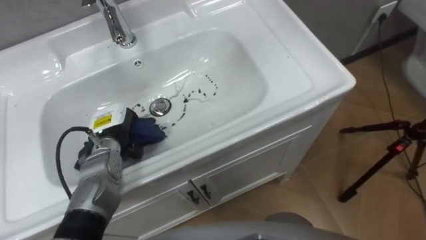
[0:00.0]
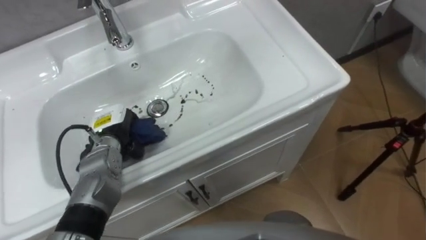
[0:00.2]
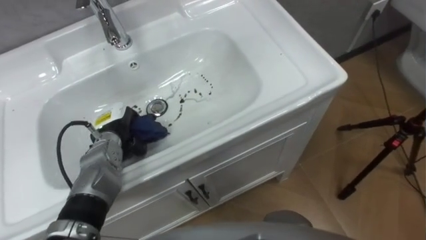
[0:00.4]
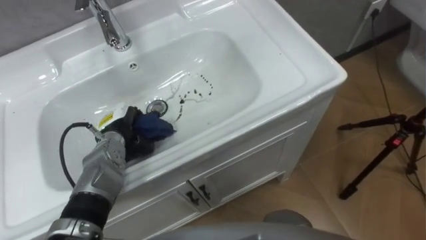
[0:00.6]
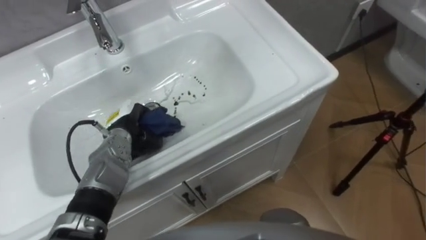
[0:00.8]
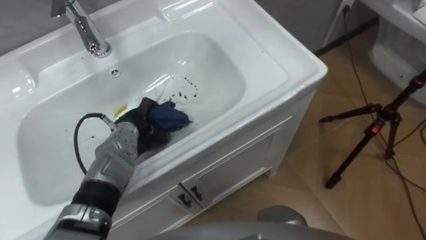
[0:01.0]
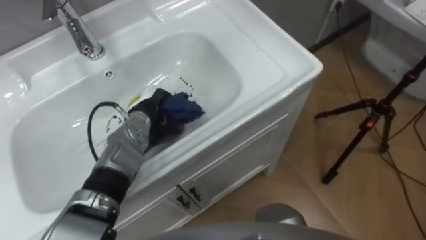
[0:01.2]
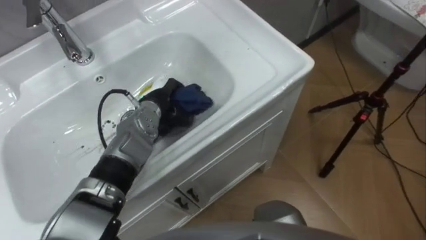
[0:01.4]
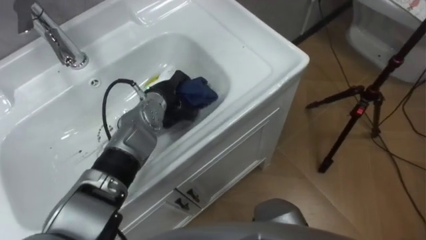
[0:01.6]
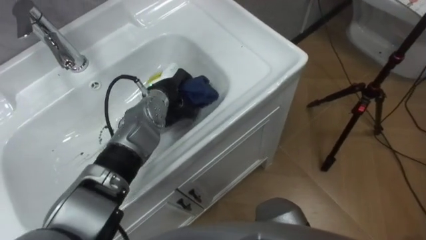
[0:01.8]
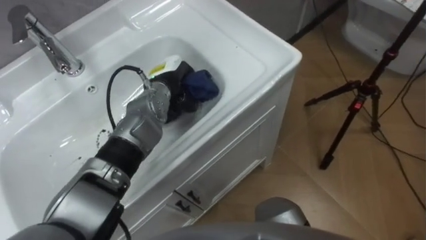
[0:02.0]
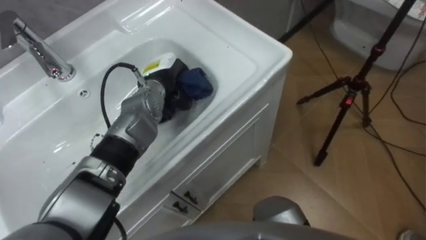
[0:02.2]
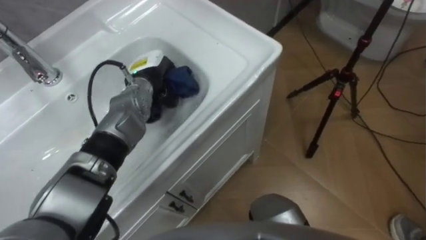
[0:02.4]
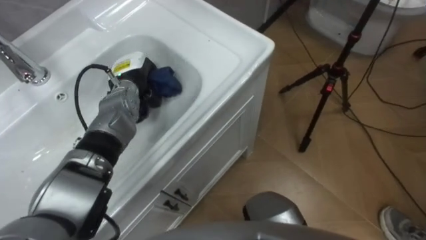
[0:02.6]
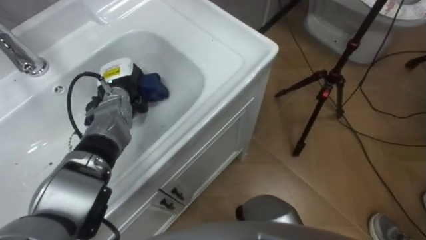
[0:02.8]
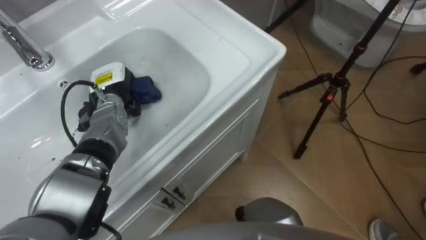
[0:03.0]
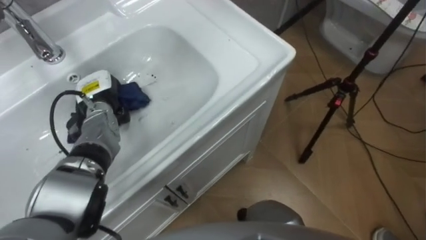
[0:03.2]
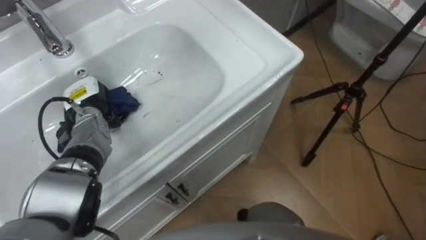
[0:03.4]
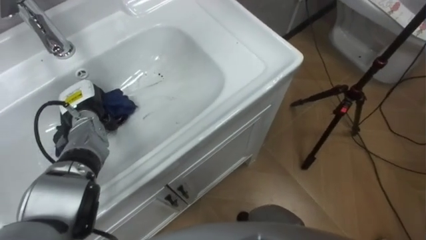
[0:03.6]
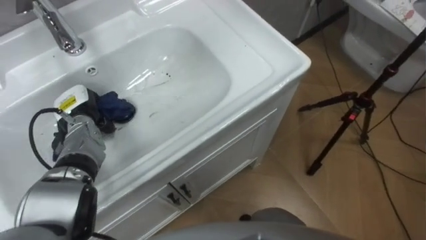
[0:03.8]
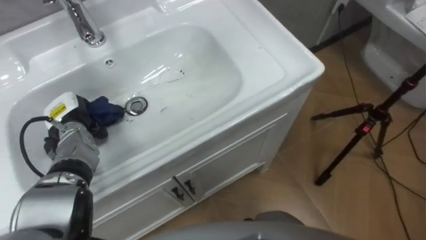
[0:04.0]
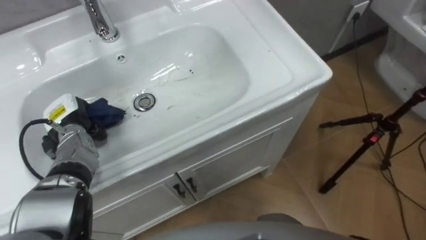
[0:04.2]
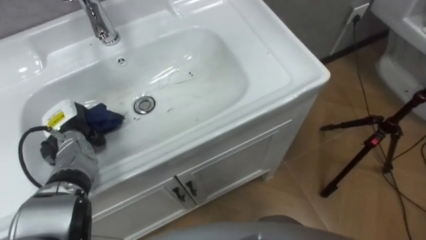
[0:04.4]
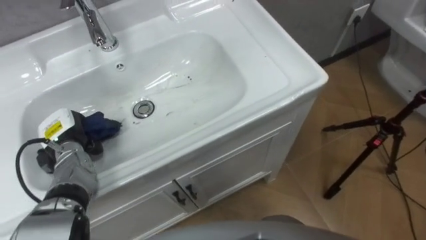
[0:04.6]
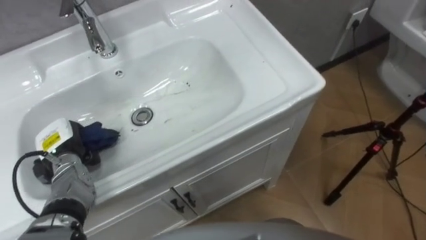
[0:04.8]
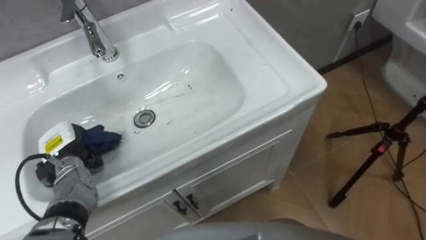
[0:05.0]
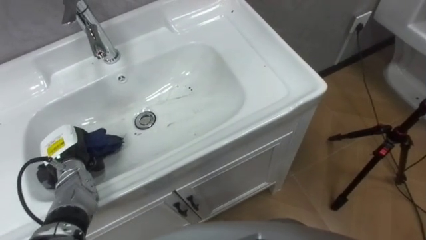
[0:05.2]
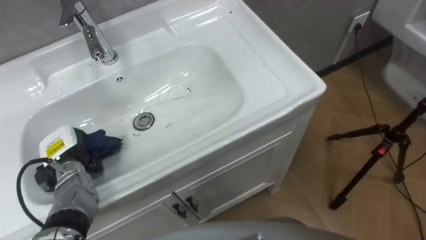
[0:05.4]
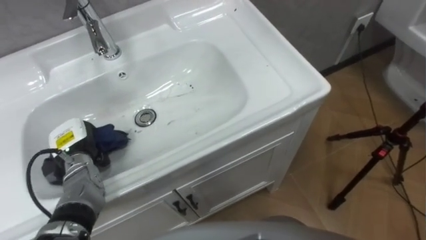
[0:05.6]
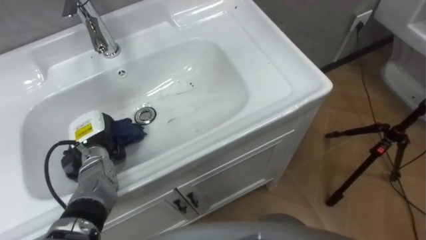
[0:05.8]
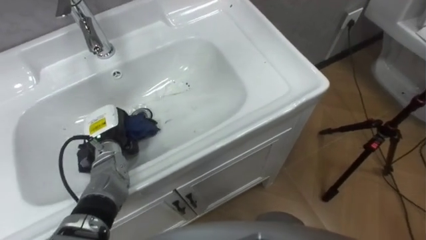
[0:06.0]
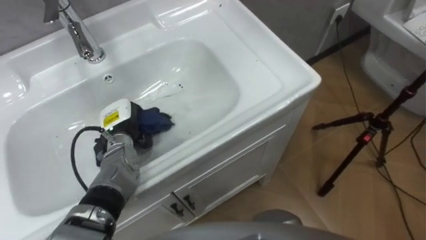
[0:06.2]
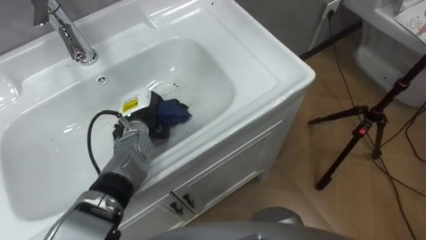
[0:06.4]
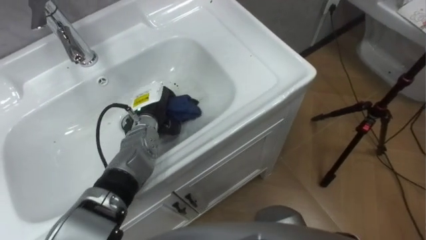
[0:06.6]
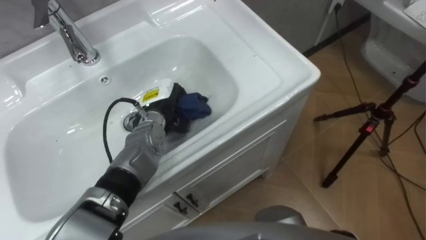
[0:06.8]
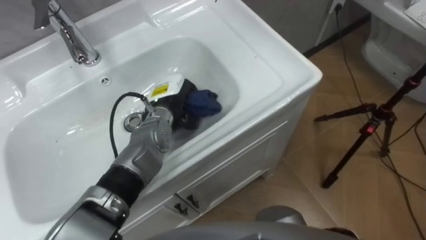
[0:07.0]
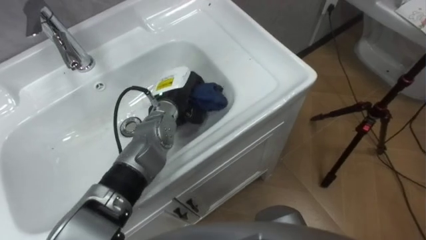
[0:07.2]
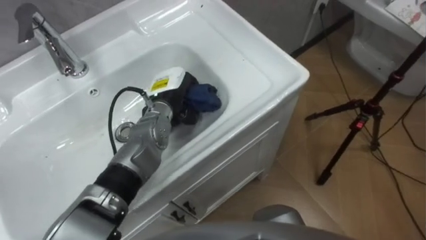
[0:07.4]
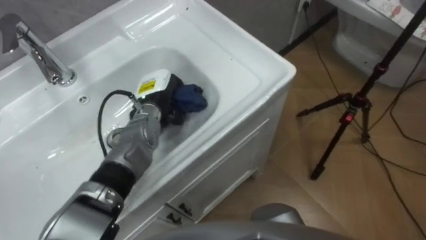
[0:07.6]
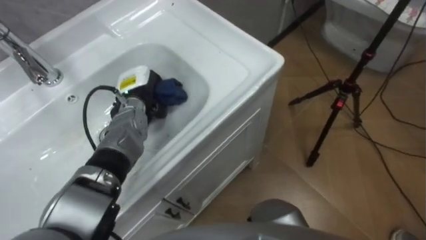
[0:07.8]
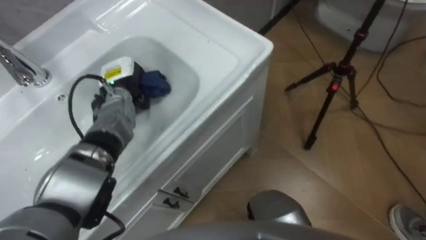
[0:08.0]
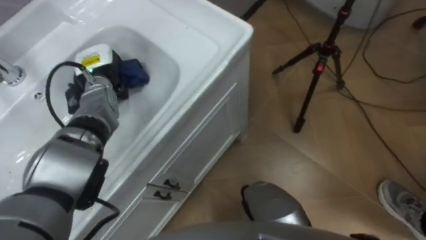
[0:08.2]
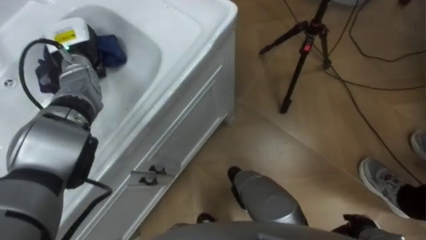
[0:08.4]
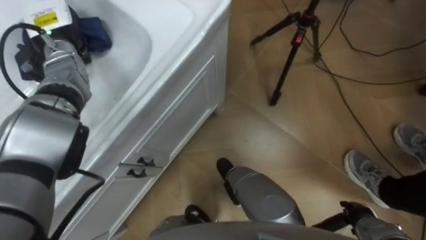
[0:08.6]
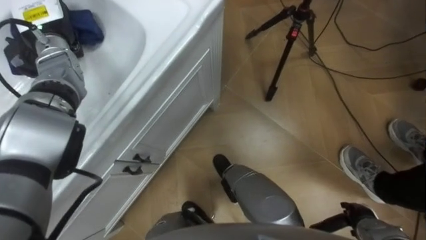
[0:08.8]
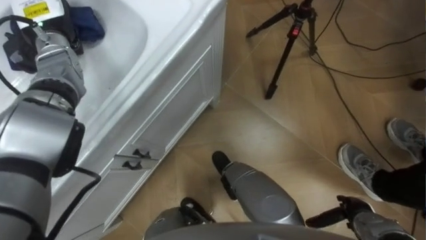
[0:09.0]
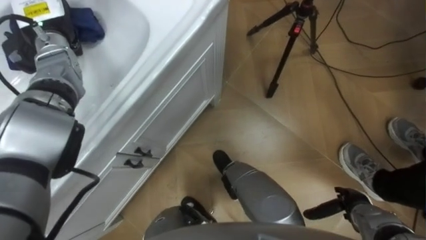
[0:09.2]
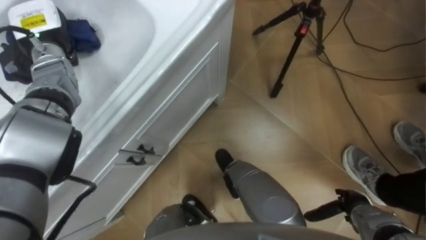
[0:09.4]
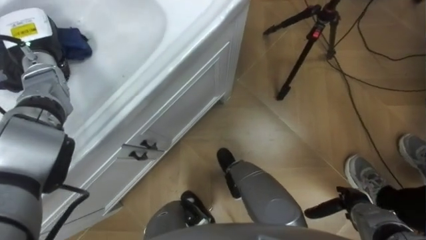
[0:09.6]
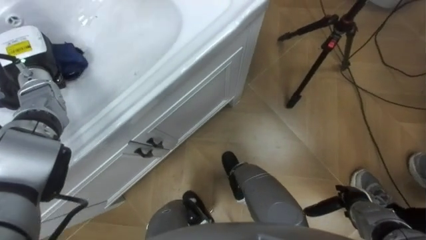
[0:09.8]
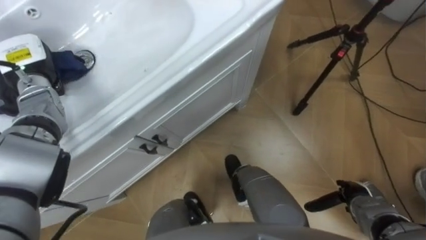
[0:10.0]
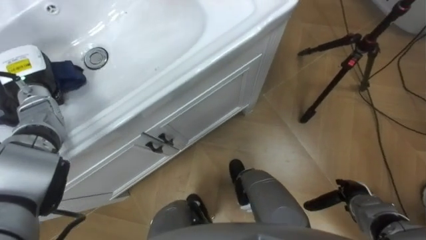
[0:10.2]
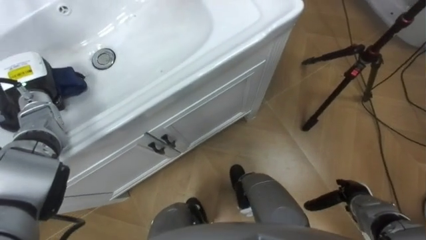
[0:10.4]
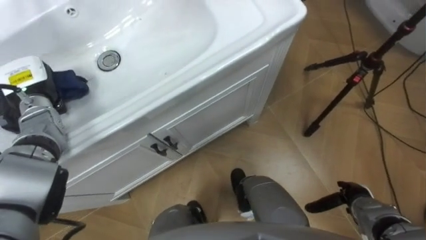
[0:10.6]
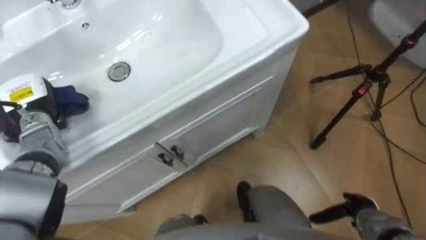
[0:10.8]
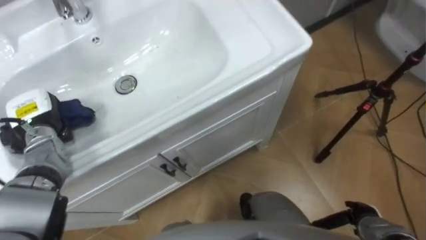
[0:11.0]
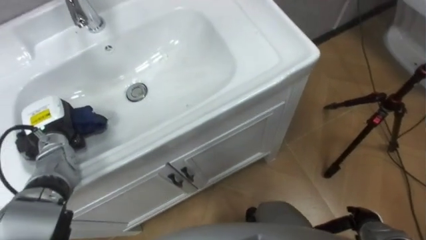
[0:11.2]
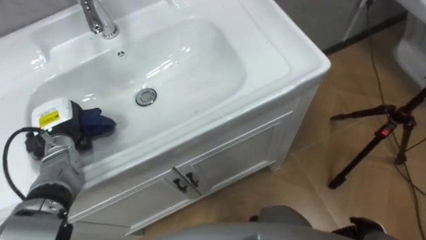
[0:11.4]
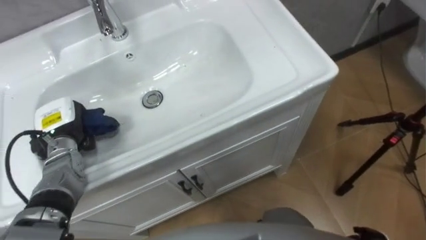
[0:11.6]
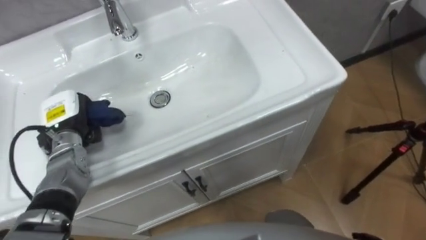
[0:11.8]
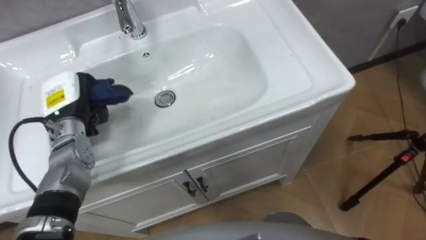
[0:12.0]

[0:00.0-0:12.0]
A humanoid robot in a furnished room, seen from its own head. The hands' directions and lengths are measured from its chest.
Task of the whole recording: Use the cloth on the right to wipe away the black stain in the sink.
0:00.0 to 0:01.6: The left hand heads to the right and forward, covering roughly 15 cm.
0:01.6 to 0:03.0: The left hand travels to the left by about 10 cm.
0:03.0 to 0:04.4: The left hand travels to the left and backward by some 15 cm.
0:04.4 to 0:06.0: The left hand heads to the right, covering about 10 cm.
0:06.0 to 0:07.6: The left hand heads to the right and forward, covering roughly 15 cm.
0:07.6 to 0:09.0: The left hand heads to the left, upward and forward, covering some 25 cm.
0:09.0 to 0:10.4: The left hand goes some 15 cm backward, downward and to the left.
0:10.4 to 0:12.0: The left hand travels to the right by about 5 cm.

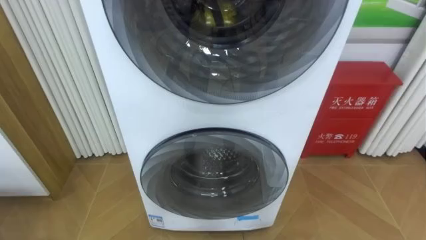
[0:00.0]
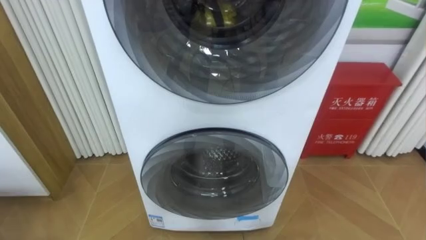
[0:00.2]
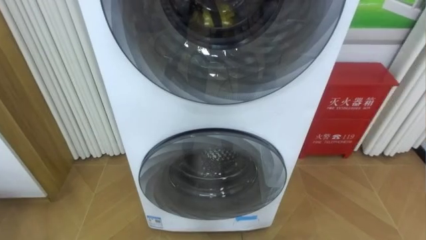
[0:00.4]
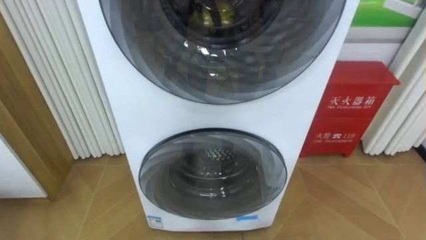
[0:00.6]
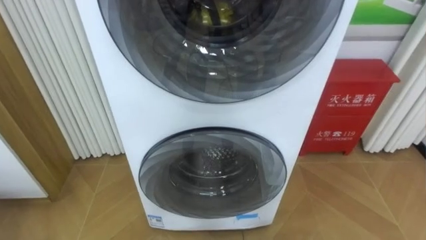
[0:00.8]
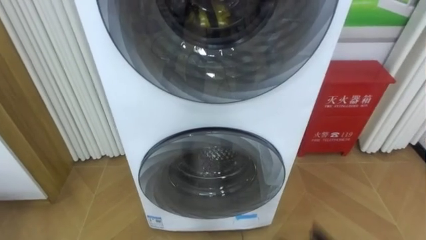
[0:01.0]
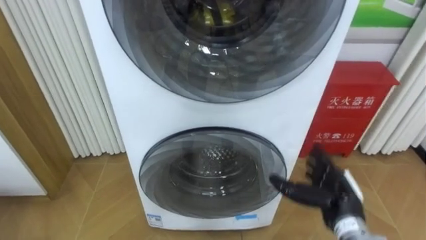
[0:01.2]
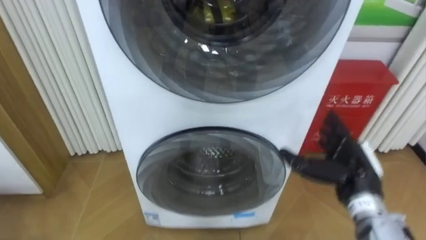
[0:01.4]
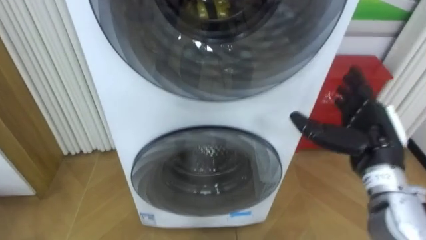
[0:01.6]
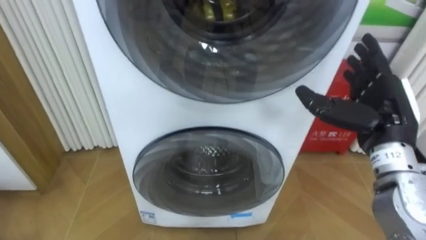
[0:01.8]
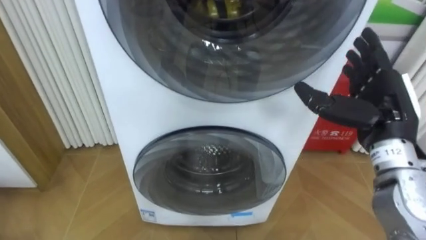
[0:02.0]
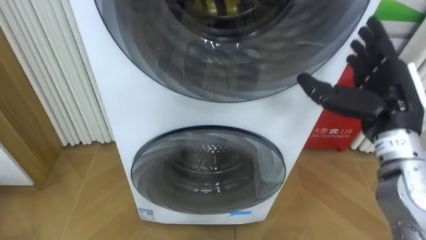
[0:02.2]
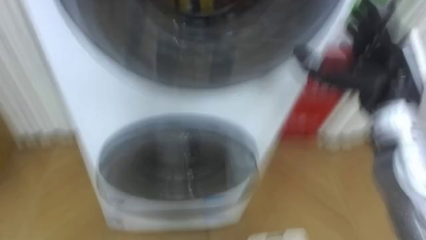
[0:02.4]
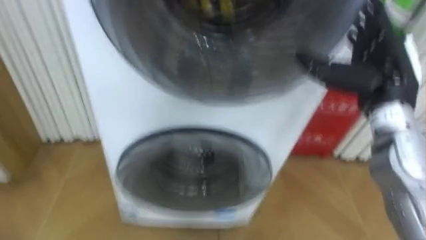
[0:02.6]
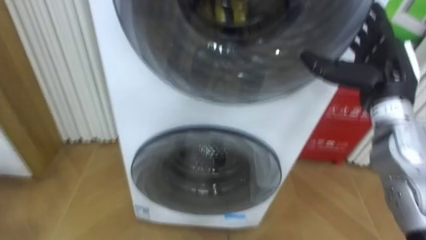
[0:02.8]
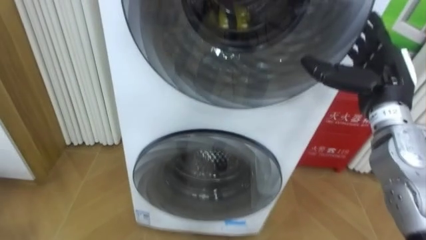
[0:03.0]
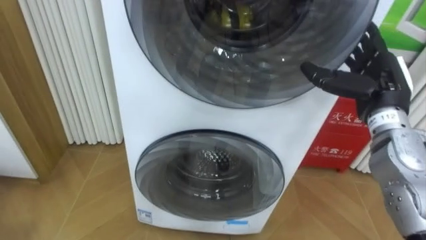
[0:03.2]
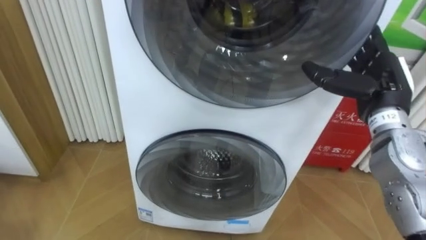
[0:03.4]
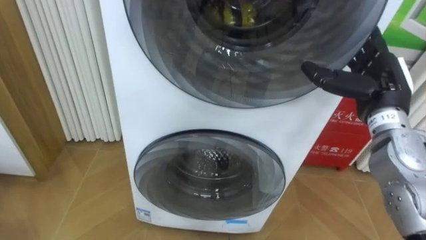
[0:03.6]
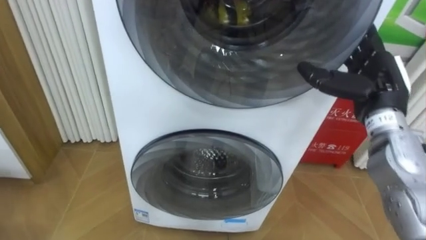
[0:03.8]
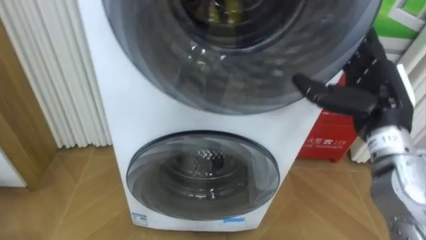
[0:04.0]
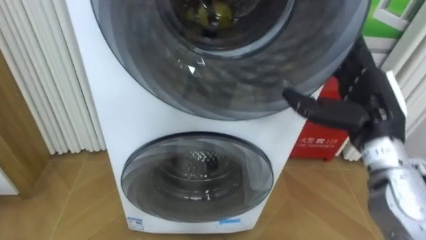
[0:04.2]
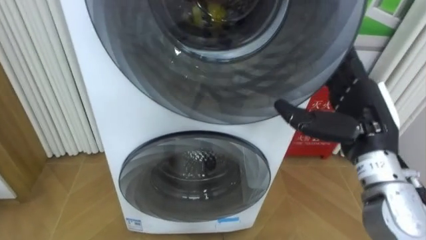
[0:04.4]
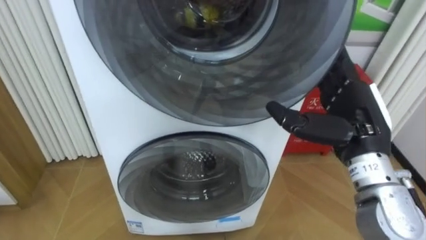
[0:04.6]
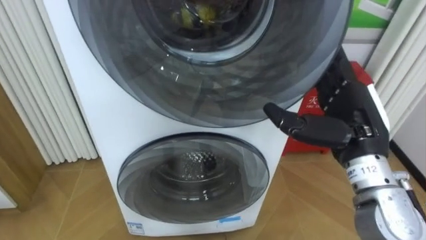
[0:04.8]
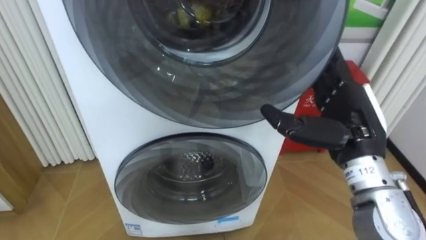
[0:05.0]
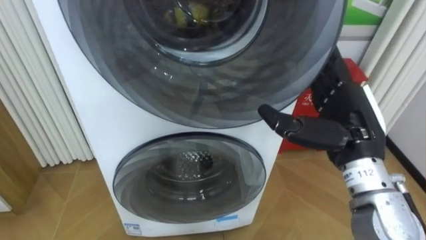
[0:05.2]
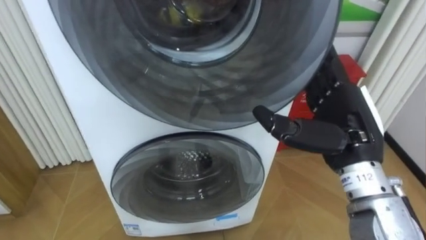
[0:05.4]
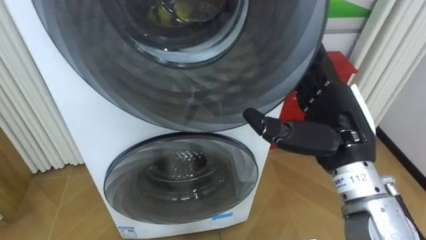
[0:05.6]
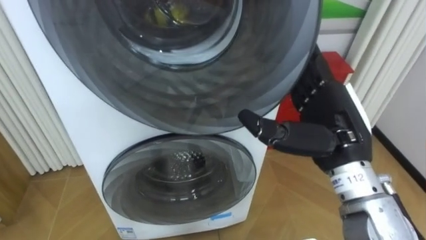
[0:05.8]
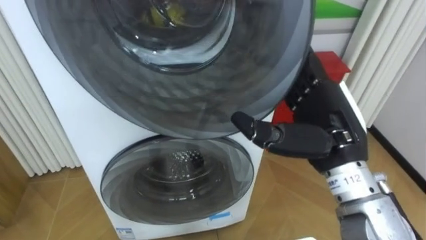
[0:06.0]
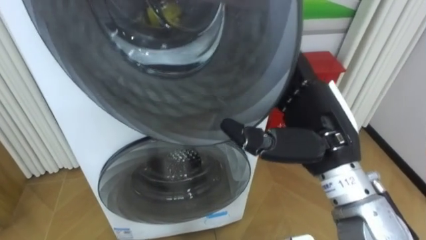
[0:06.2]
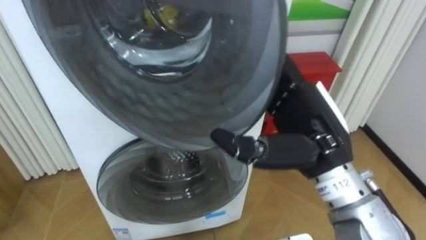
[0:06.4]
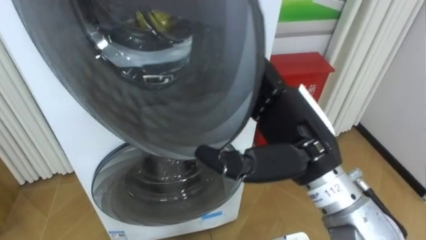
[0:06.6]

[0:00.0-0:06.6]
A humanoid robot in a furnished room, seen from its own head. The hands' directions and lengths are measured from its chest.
Task of the whole recording: Open the washing machine door, take out the yellow clothes, place them in the box on the right, and close the washing machine door.
0:01.6 to 0:03.2: The right hand moves forward and upward, about 10 cm.
0:03.2 to 0:05.0: The right hand is displaced backward and to the left by roughly 10 cm.
0:05.0 to 0:06.6: The right hand is displaced to the left by approximately 10 cm.
